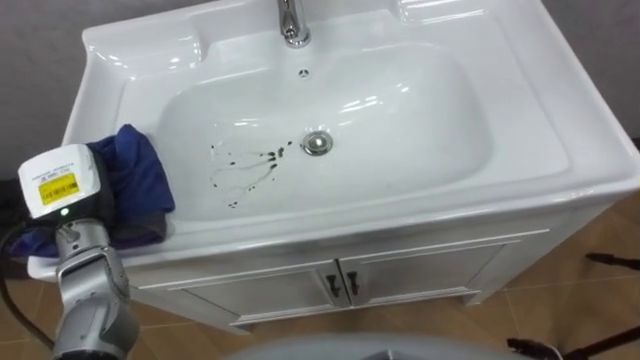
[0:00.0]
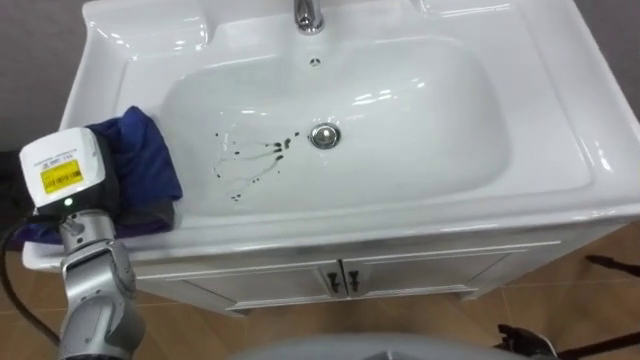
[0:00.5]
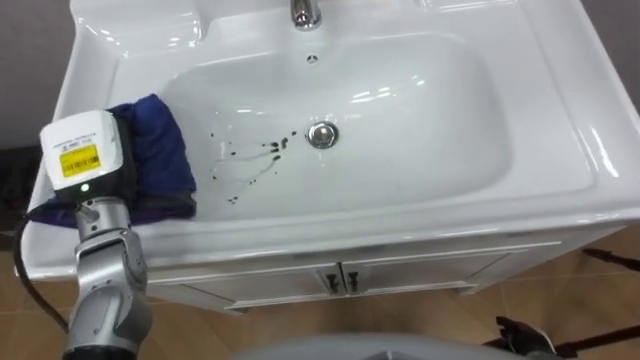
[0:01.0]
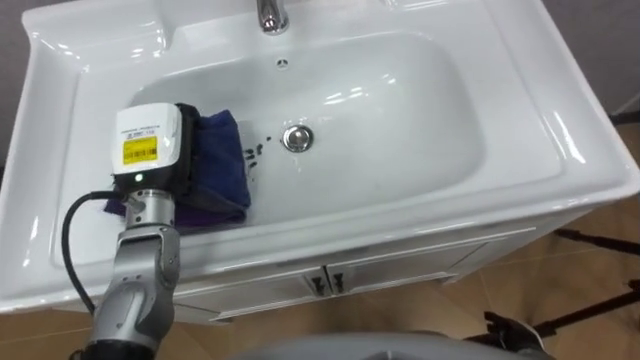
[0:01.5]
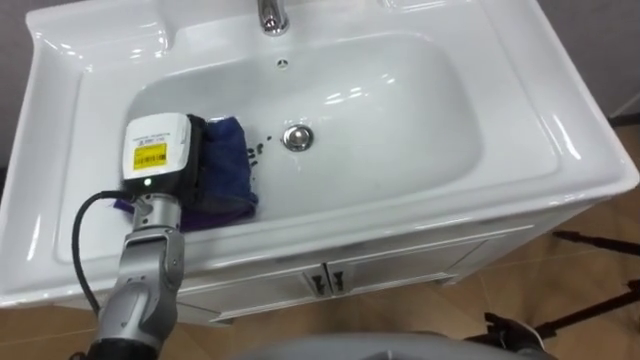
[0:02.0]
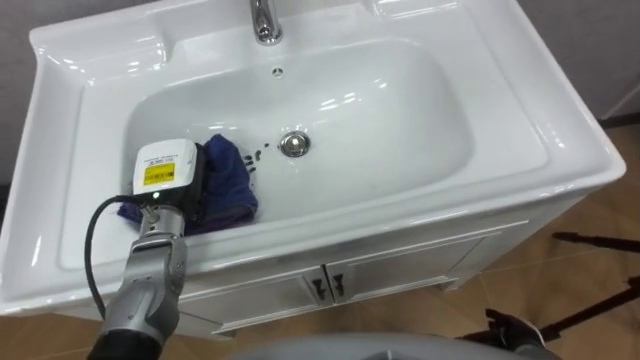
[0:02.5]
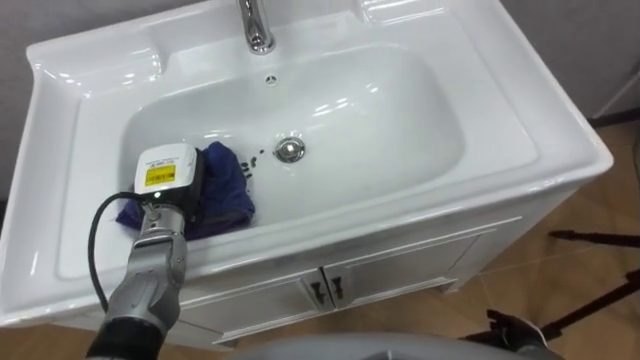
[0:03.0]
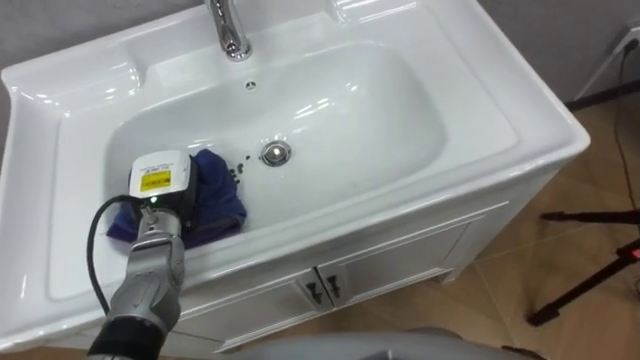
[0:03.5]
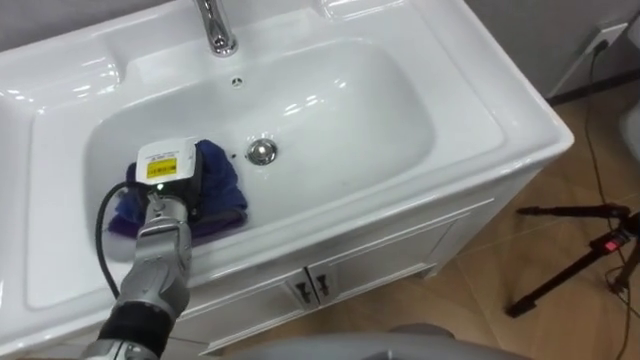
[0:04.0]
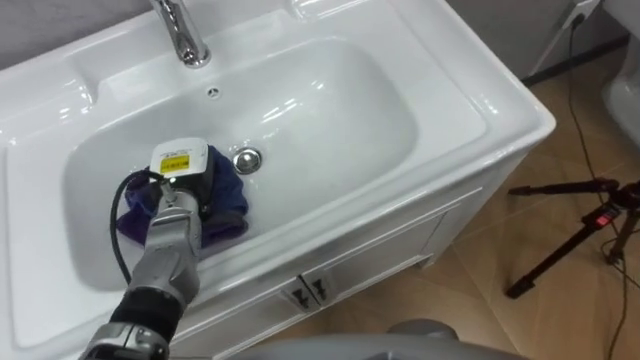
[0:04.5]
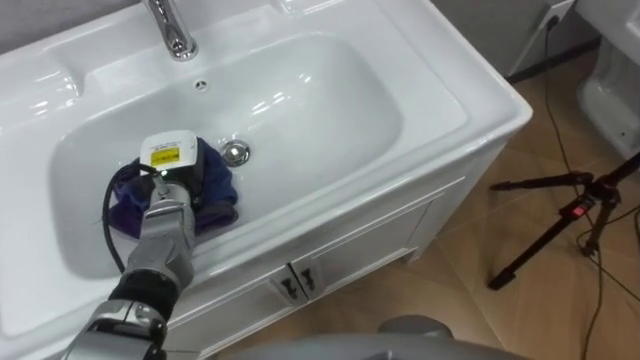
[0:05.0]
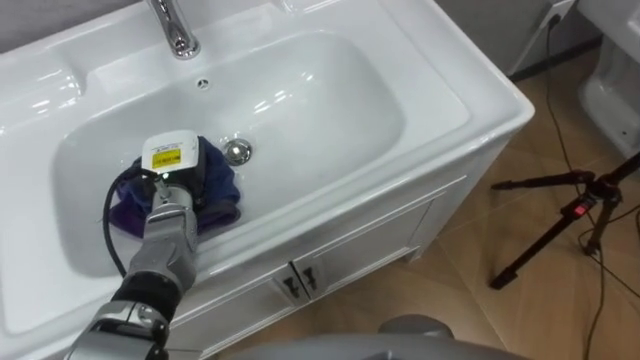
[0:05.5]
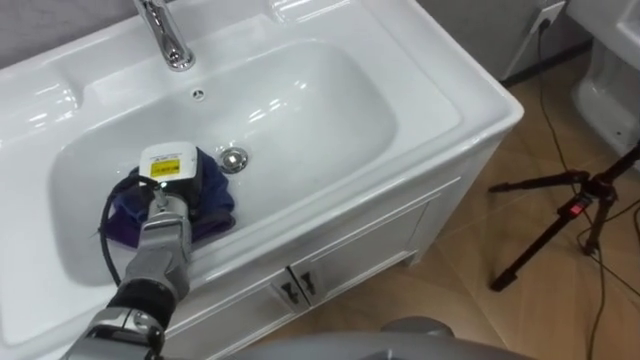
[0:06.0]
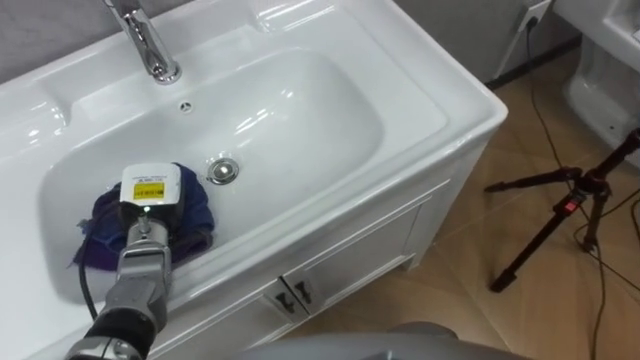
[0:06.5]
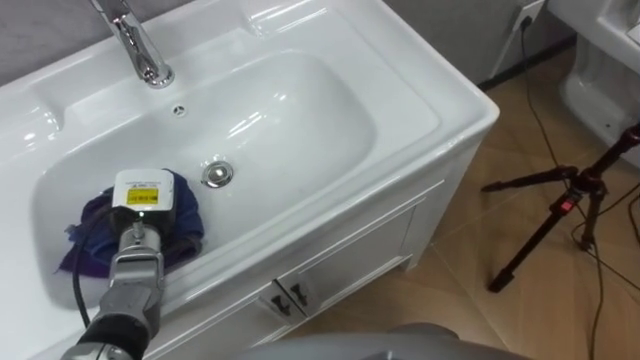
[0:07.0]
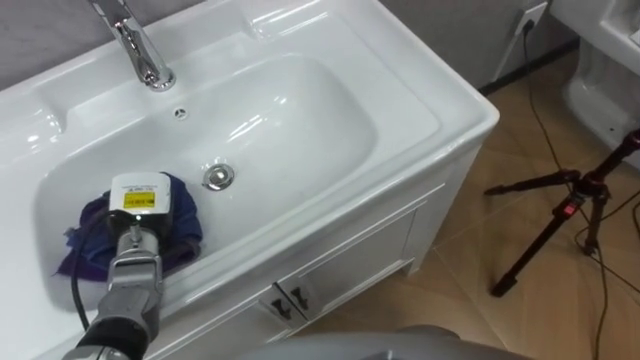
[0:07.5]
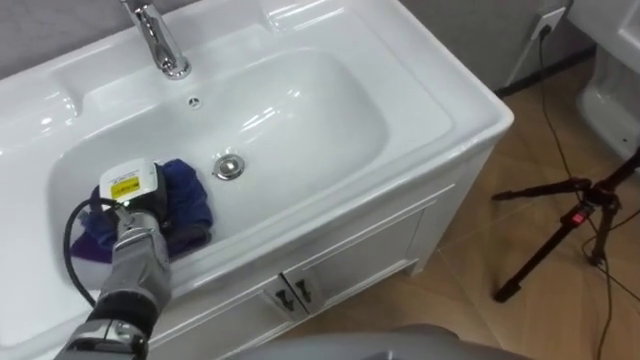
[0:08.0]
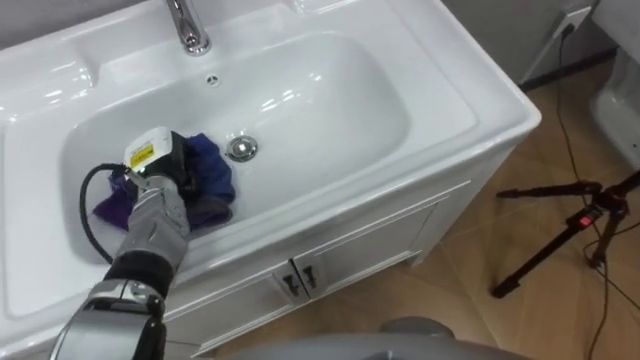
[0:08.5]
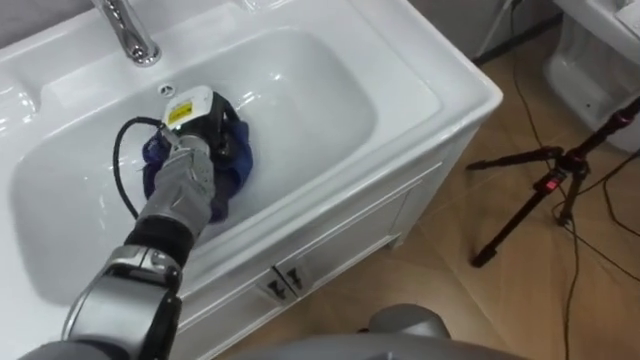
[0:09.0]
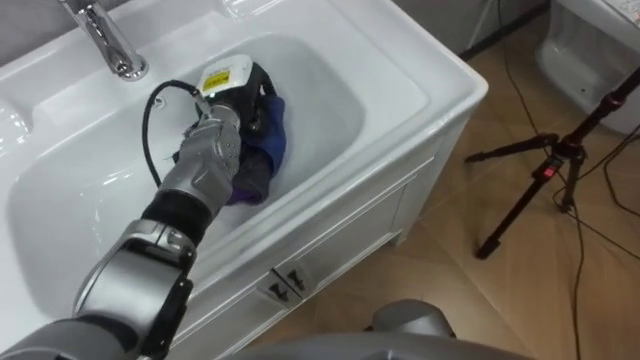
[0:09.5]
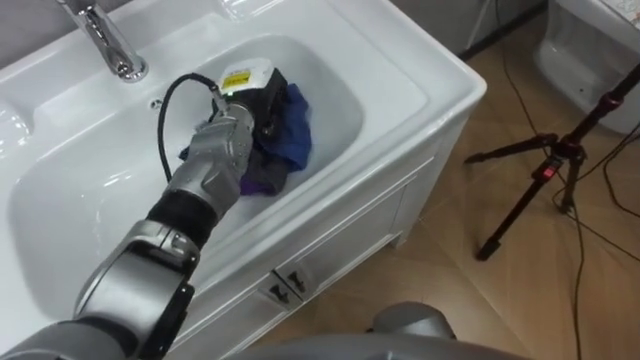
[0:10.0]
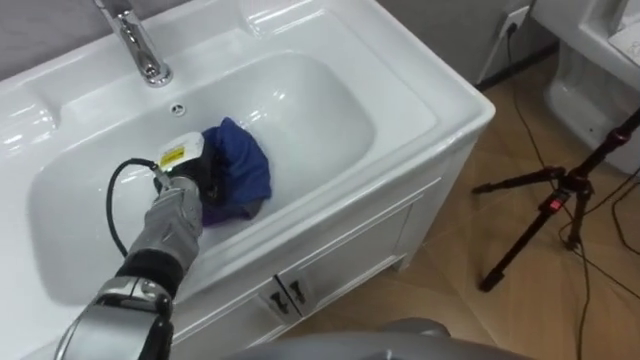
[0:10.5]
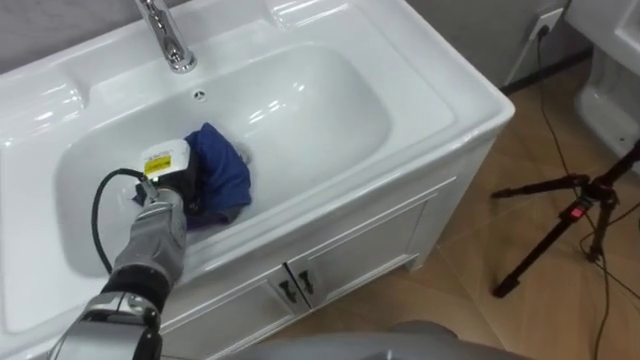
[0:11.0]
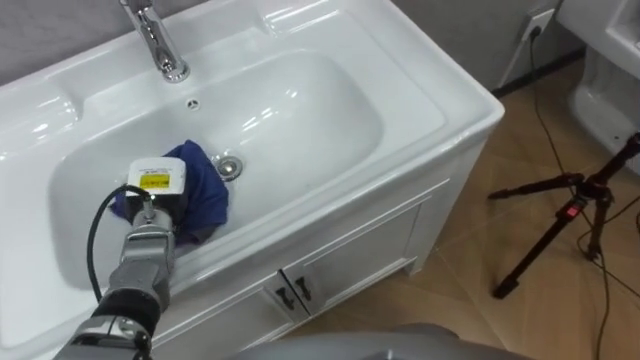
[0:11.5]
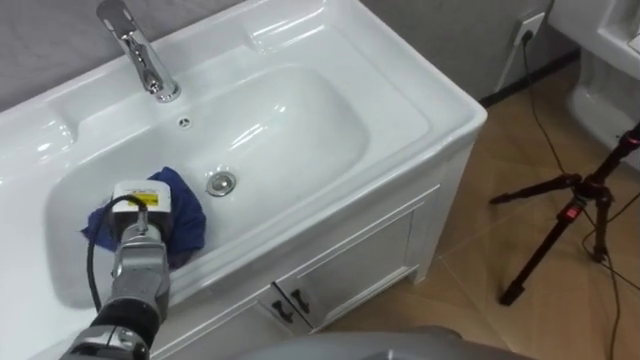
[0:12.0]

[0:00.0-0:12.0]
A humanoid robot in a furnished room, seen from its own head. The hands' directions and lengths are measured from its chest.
Task of the whole recording: Use the cloth on the right to wipe away the black stain in the sink.
0:00.0 to 0:02.0: The left hand shifts some 10 cm to the right.
0:02.0 to 0:04.0: The left hand travels downward by approximately 5 cm.
0:06.0 to 0:08.0: The left hand shifts by approximately 5 cm.
0:08.0 to 0:10.0: The left hand heads to the right, forward and upward, covering roughly 25 cm.
0:10.0 to 0:12.0: The left hand travels to the left, backward and downward by about 25 cm.

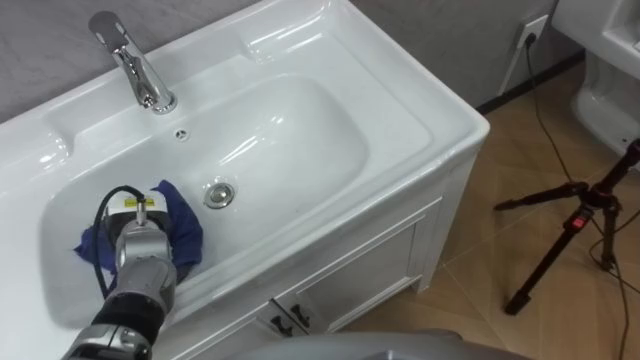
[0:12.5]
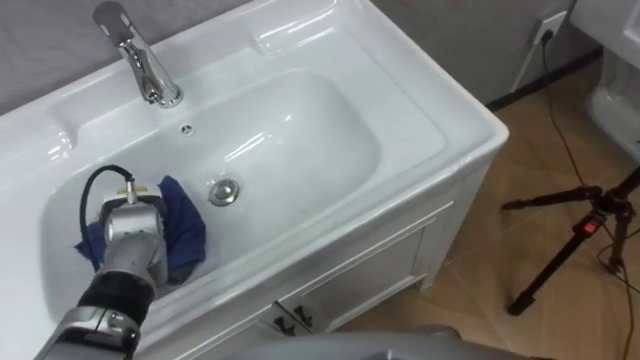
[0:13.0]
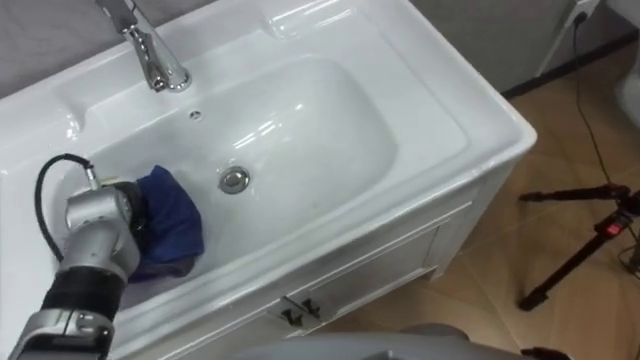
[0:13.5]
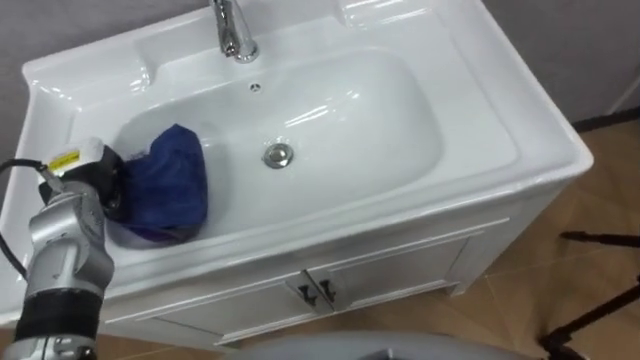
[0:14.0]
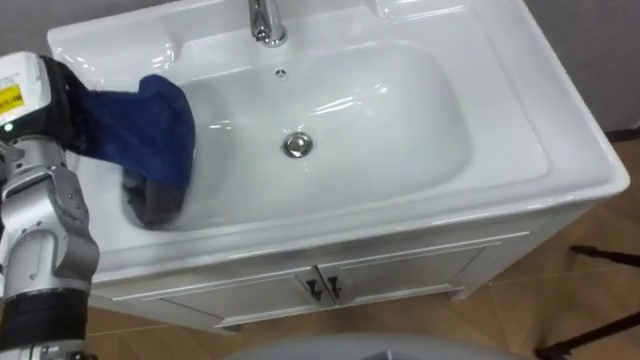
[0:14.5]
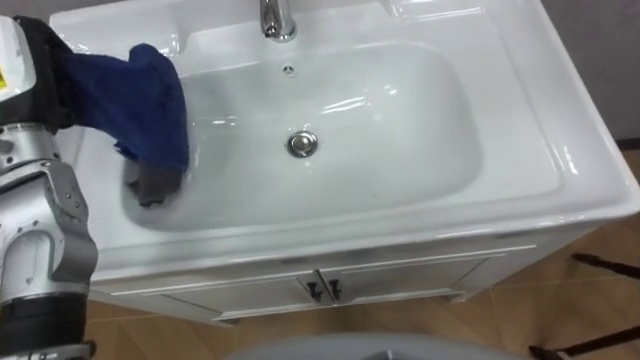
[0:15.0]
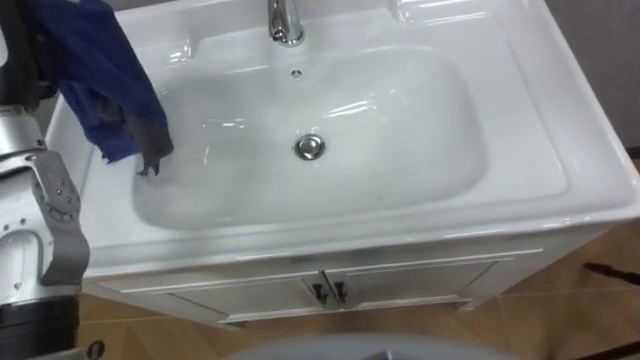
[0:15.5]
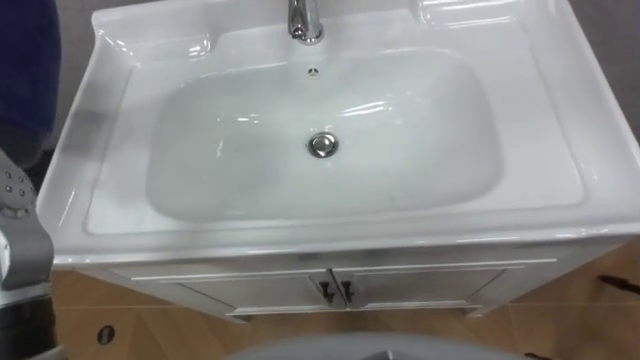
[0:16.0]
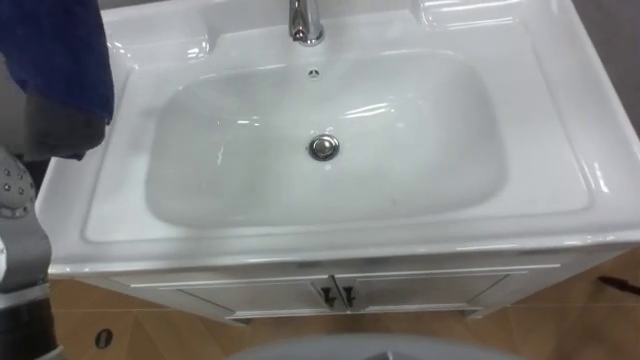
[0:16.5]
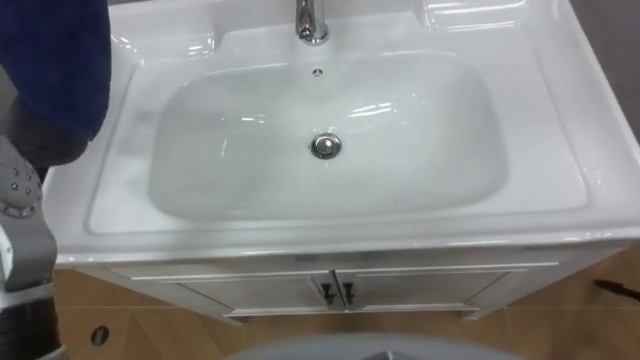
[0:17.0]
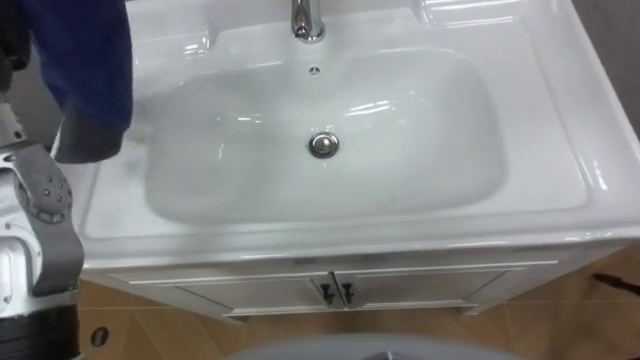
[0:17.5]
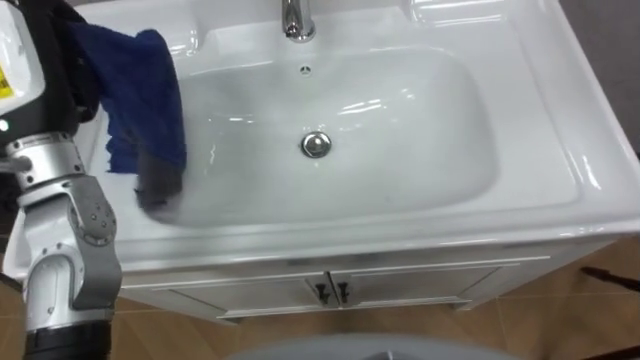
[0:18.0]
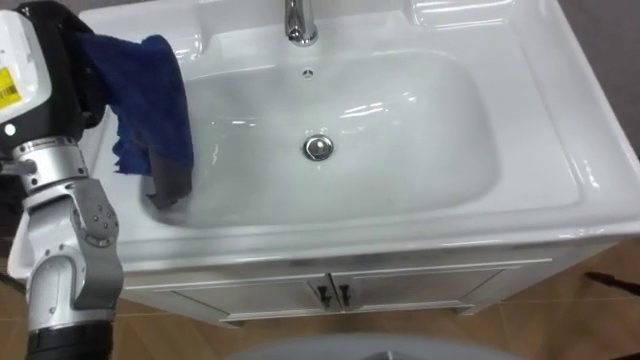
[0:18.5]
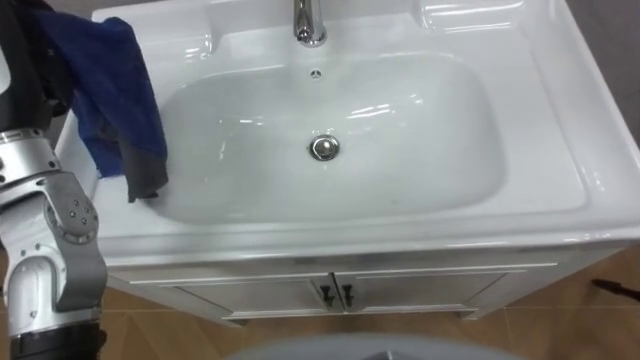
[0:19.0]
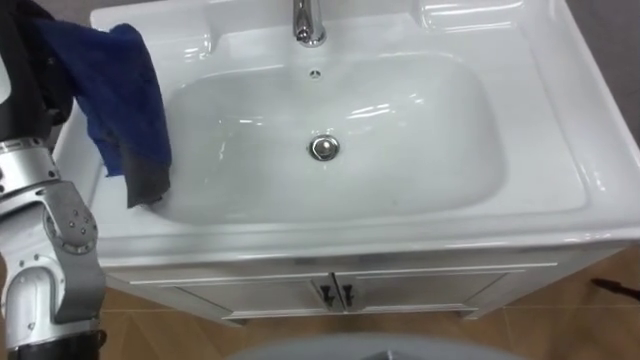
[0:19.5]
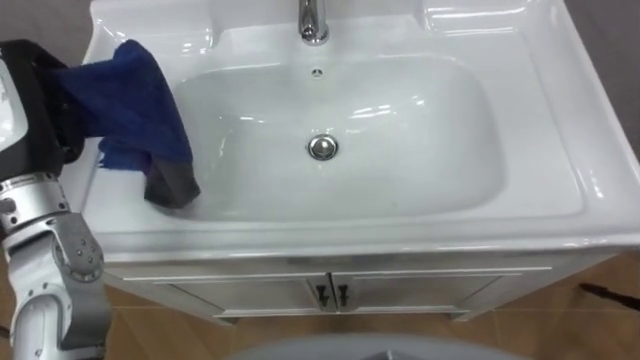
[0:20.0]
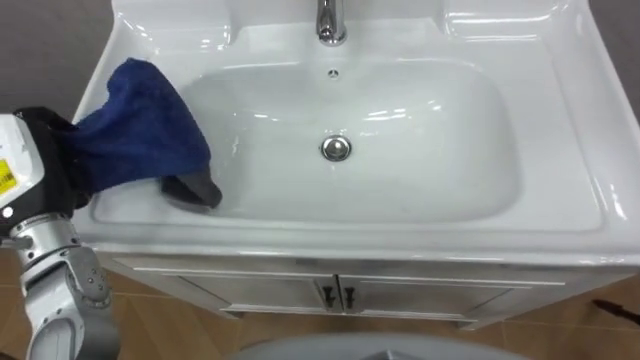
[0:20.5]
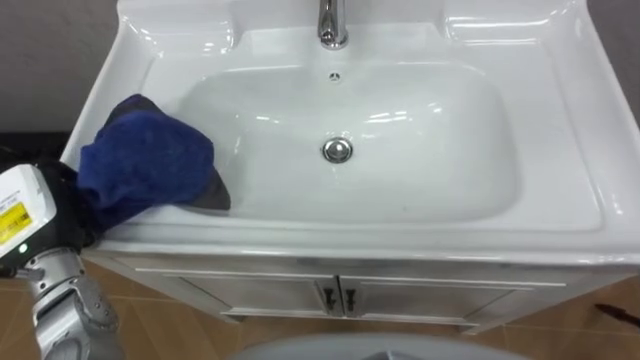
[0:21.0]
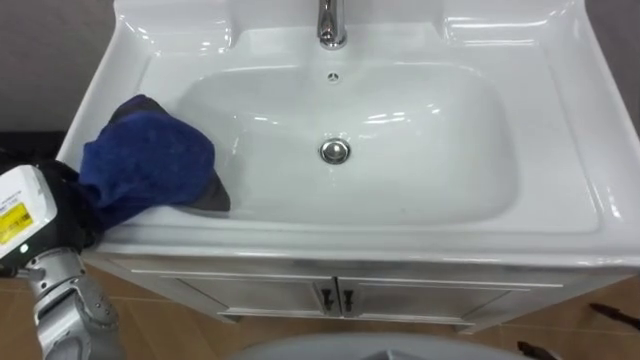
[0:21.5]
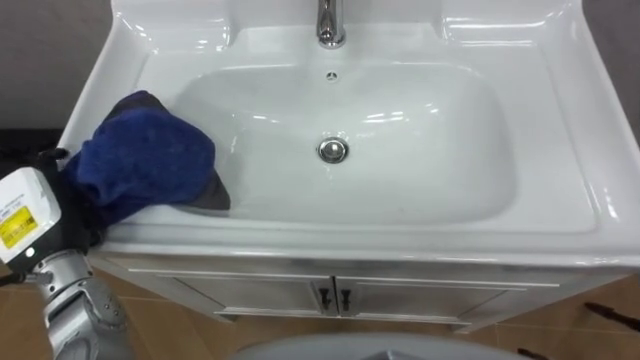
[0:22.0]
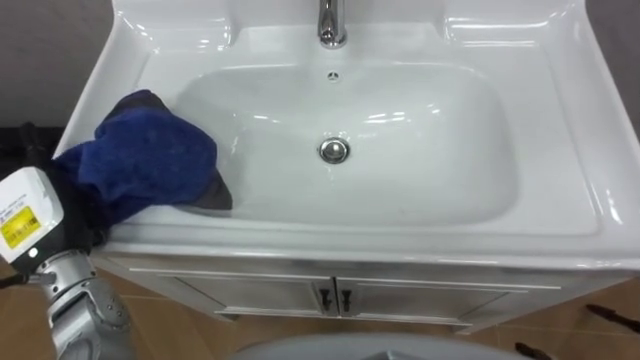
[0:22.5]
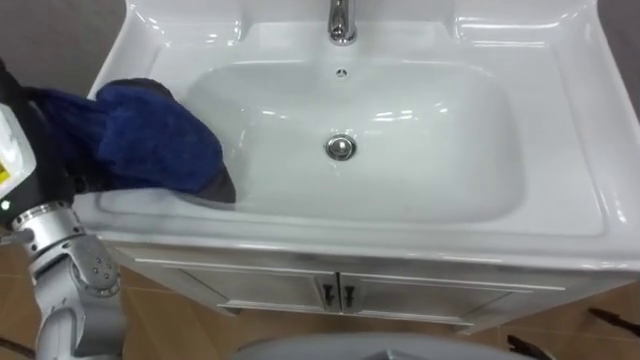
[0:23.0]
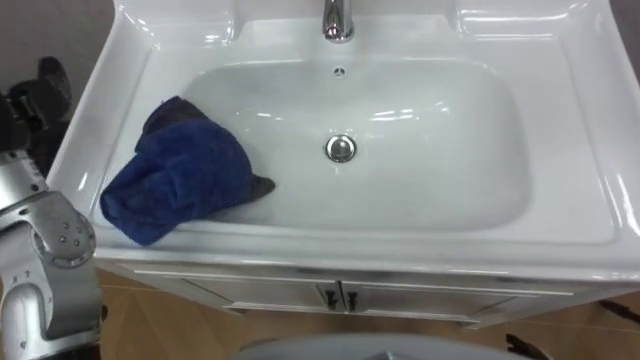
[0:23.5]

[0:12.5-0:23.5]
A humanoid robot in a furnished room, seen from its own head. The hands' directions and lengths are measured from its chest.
Task of the whole recording: Use the cloth on the right to wipe away the black stain in the sink.
0:12.5 to 0:14.5: The left hand heads upward, covering roughly 20 cm.
